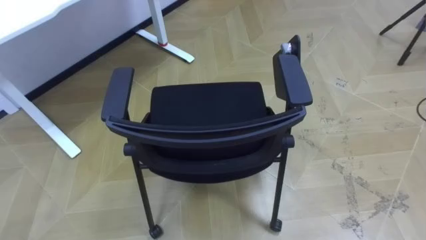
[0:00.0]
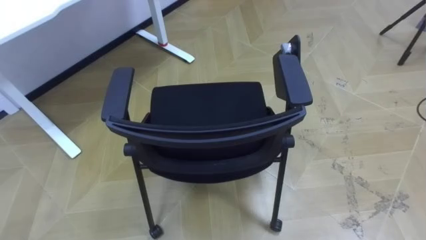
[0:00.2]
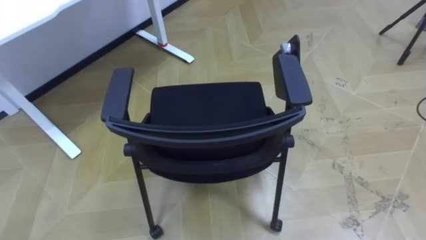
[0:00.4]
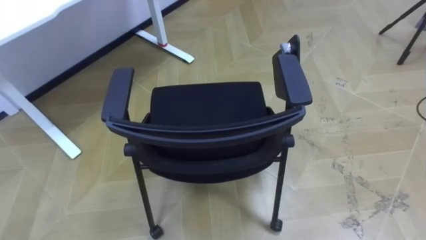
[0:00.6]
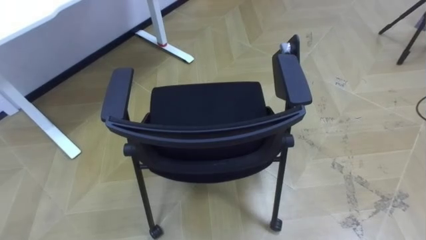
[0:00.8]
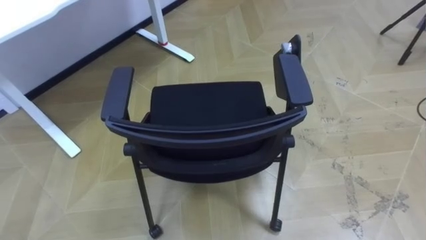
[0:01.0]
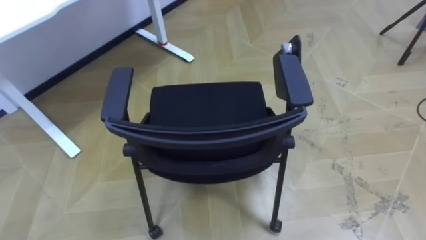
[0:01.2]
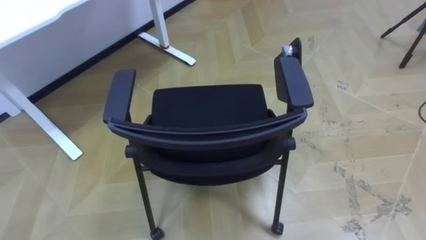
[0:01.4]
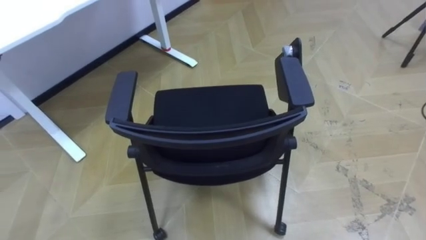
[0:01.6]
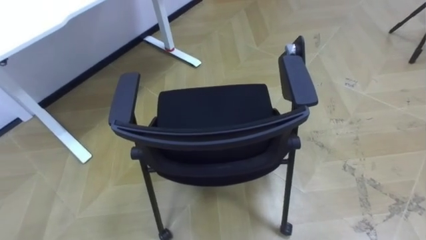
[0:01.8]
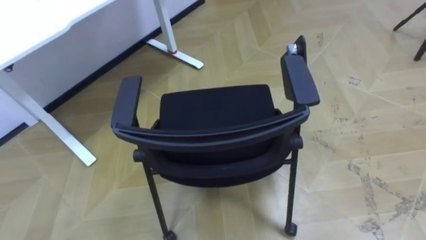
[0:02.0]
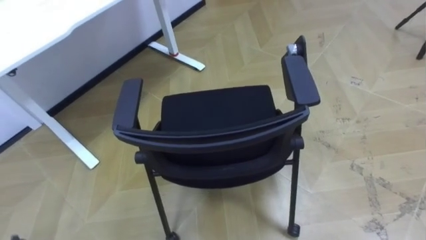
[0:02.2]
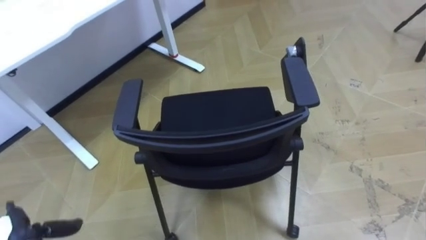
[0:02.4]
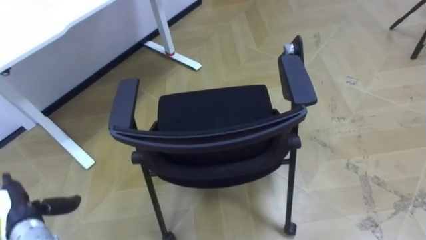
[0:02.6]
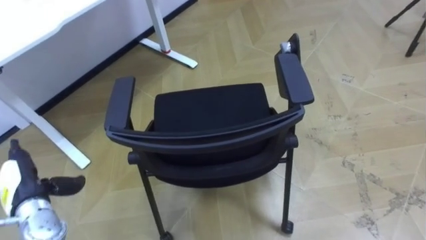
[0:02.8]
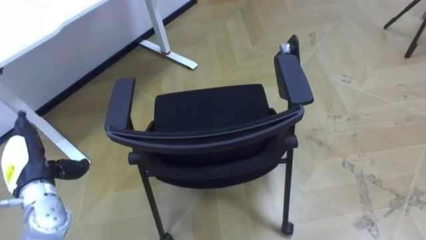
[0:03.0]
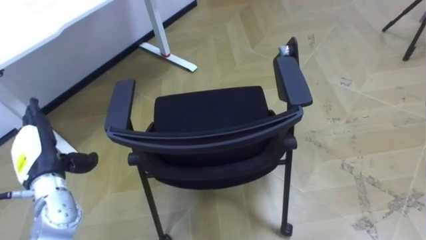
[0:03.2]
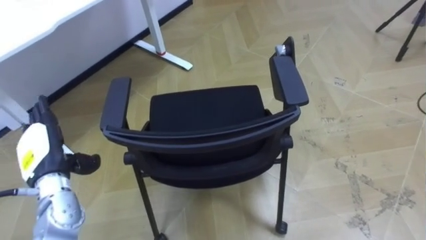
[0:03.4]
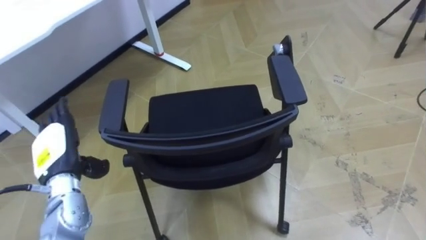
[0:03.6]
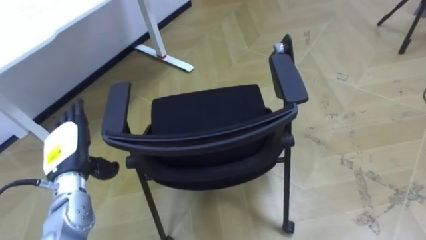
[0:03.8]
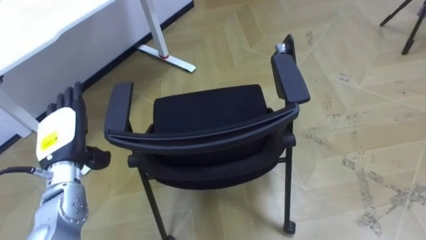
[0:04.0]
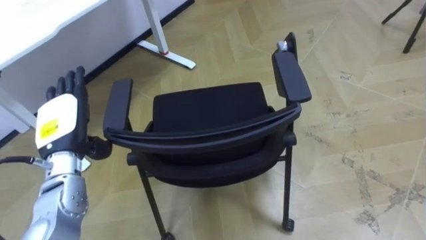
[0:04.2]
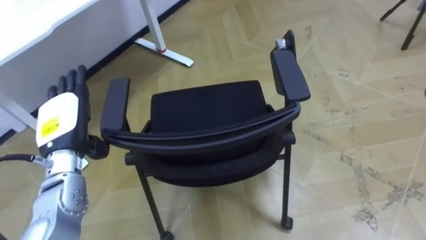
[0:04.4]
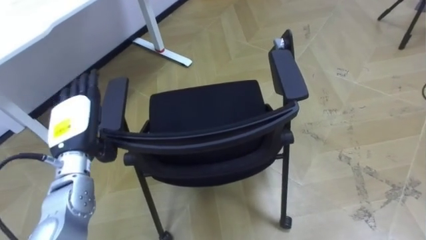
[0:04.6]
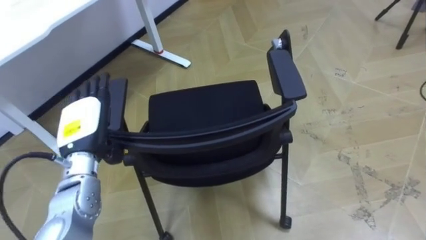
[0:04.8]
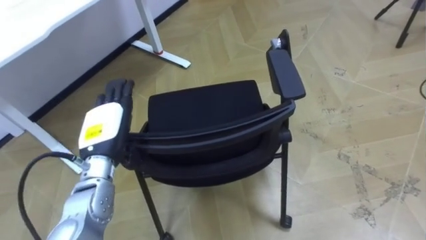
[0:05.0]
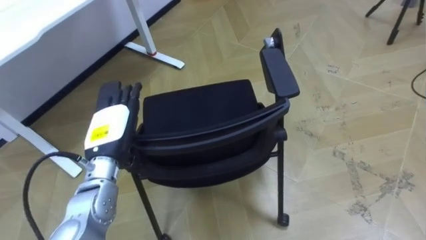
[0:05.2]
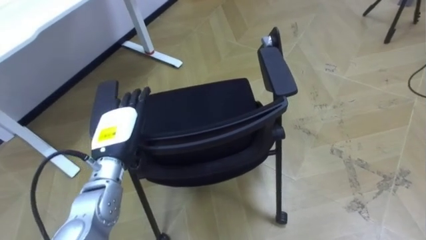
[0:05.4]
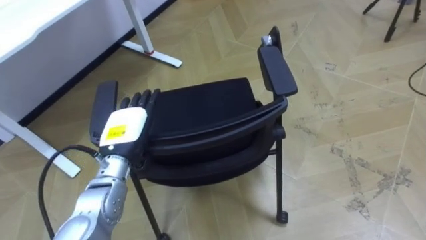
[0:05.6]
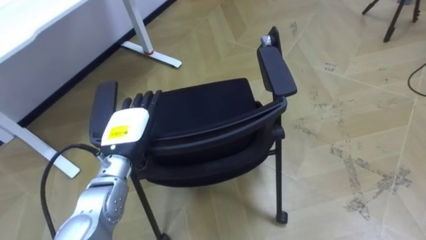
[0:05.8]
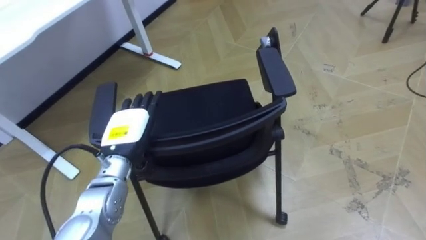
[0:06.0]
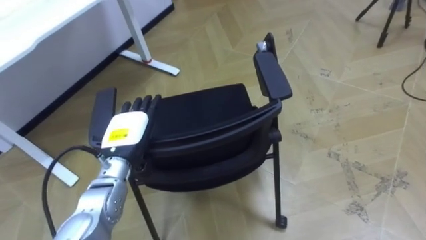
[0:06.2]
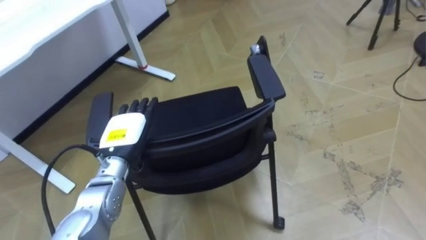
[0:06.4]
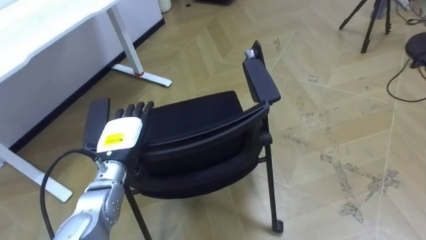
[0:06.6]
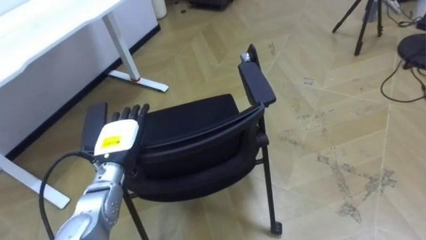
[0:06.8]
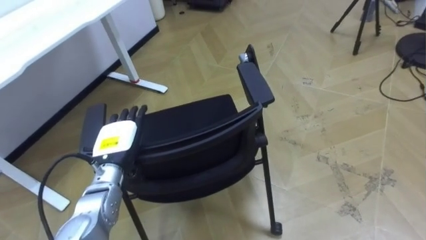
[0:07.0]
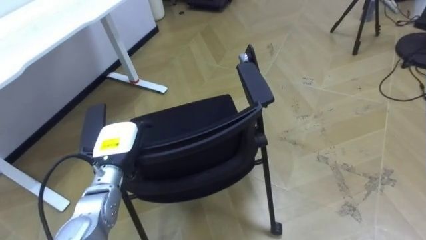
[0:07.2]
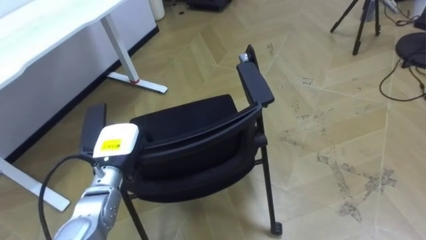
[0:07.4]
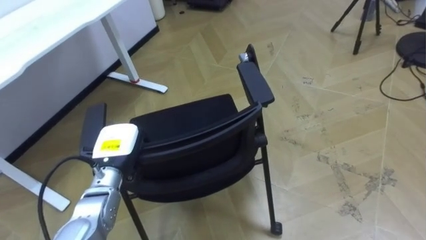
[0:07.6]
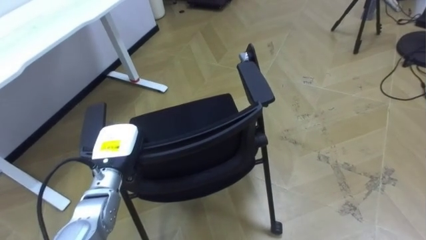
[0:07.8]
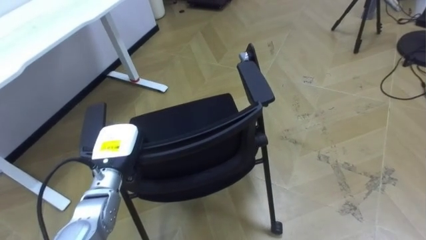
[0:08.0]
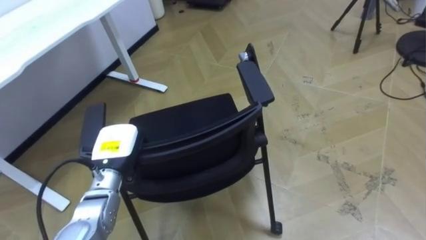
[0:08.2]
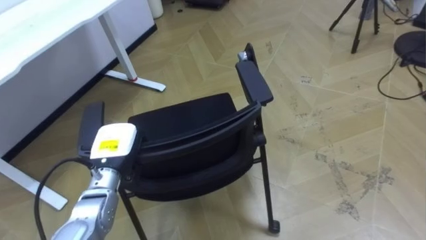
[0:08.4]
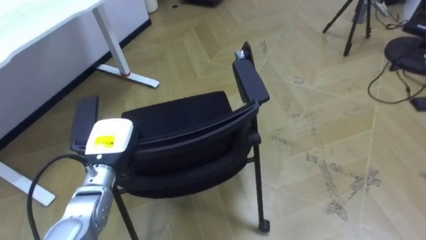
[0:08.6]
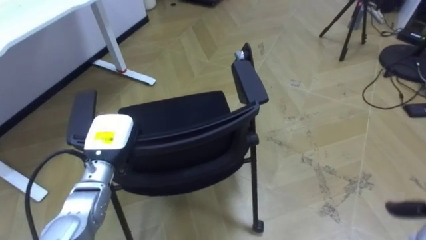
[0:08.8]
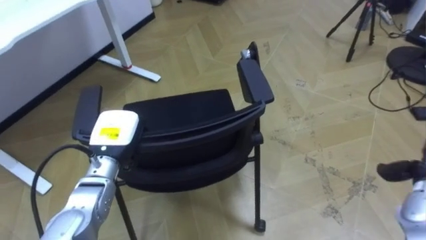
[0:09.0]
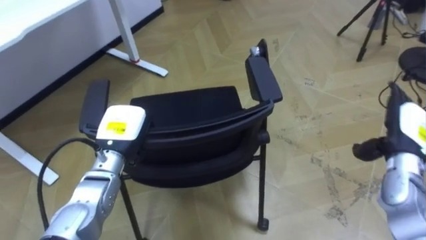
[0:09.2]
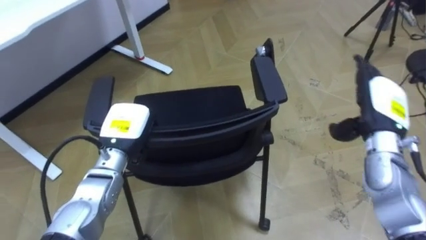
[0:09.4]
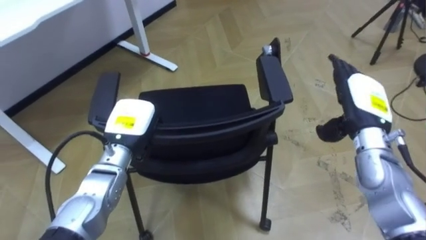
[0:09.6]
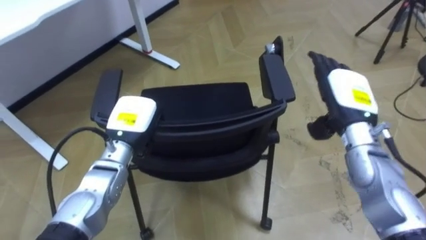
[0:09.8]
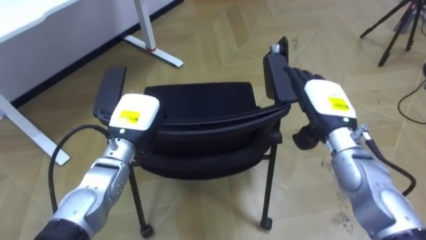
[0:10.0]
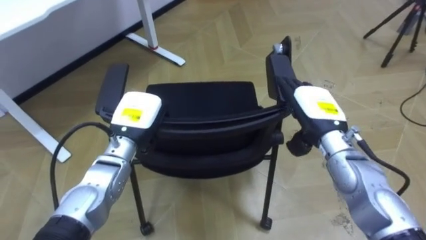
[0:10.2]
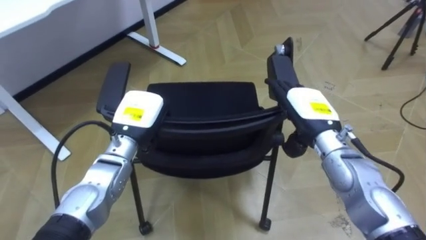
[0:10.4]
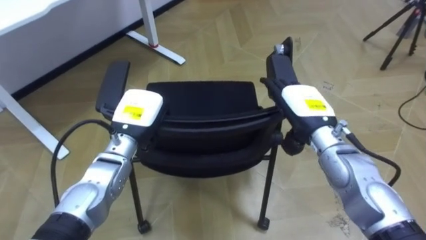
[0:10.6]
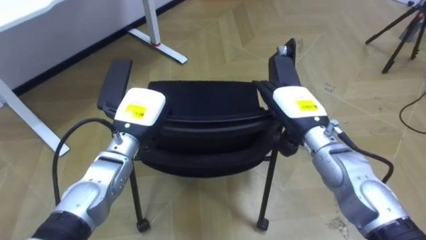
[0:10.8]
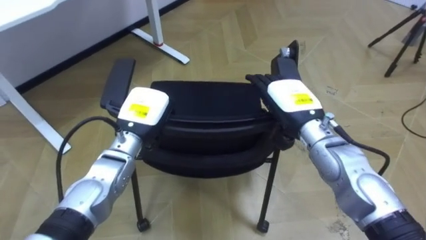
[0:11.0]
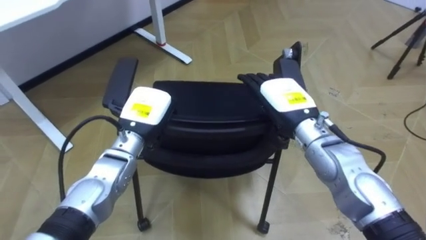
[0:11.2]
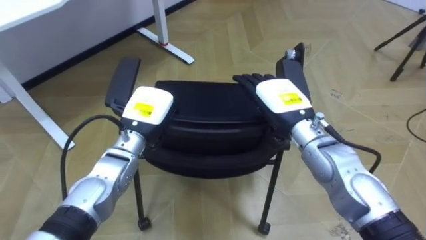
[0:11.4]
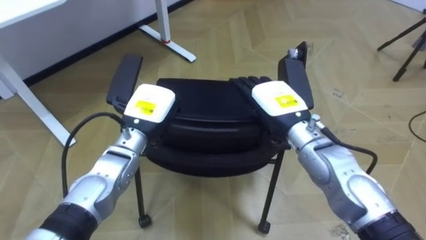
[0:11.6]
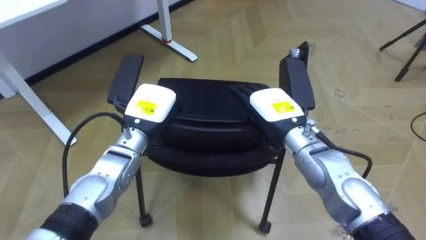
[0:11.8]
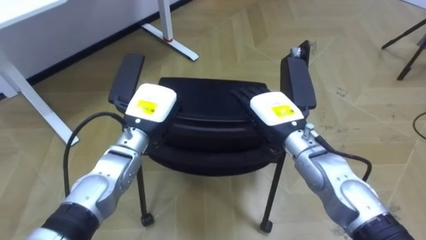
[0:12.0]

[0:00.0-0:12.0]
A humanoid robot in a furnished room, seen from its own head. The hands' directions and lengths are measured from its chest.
Task of the whole recording: Push the chair under the table.
0:03.0 to 0:04.4: The left hand heads to the right and upward, covering some 10 cm.
0:04.4 to 0:06.0: The left hand moves to the right, some 10 cm.
0:06.0 to 0:07.6: The left hand ends up approximately 5 cm from where it was, and closes its fingers.
0:09.0 to 0:10.4: The left hand ends up about 5 cm from where it was.
0:10.4 to 0:12.0: The right hand shifts about 5 cm to the left.

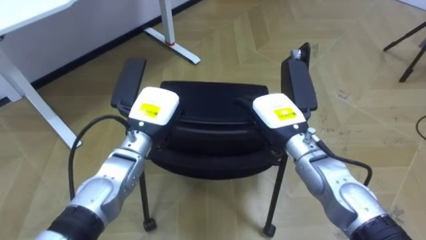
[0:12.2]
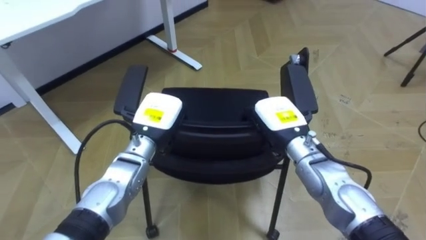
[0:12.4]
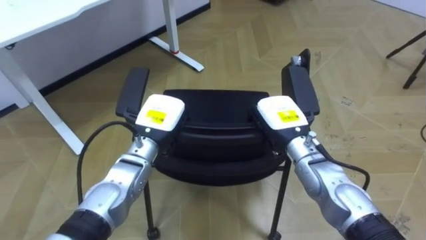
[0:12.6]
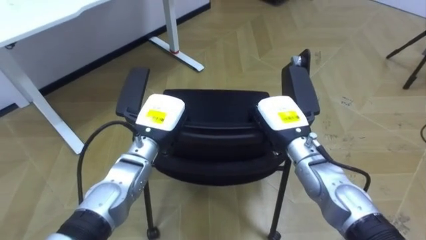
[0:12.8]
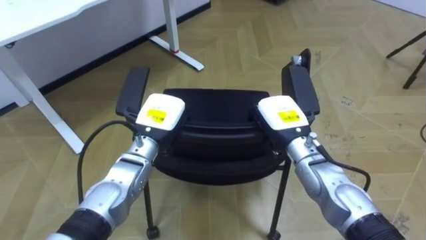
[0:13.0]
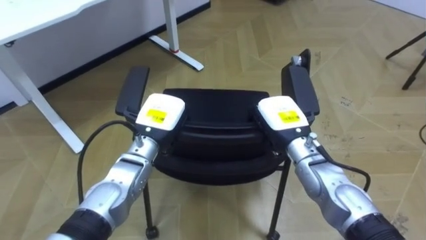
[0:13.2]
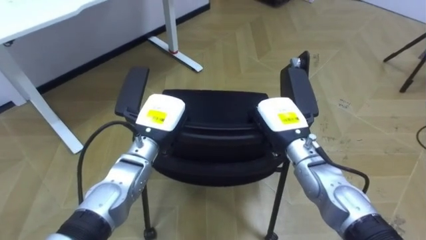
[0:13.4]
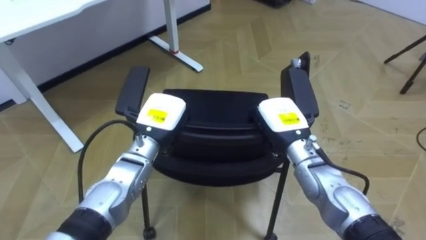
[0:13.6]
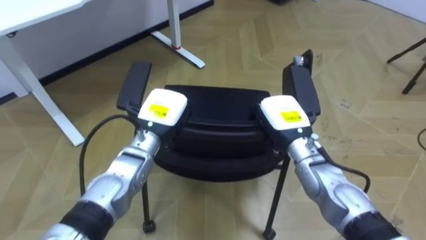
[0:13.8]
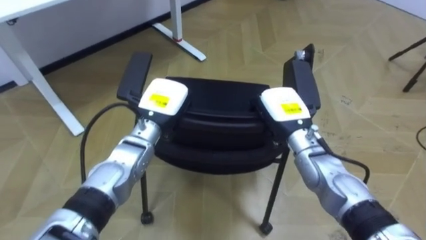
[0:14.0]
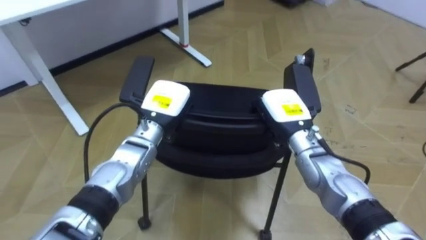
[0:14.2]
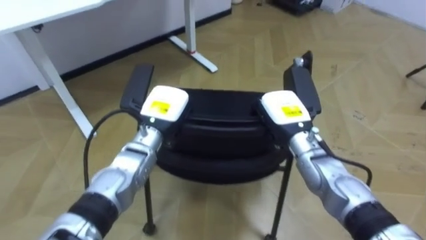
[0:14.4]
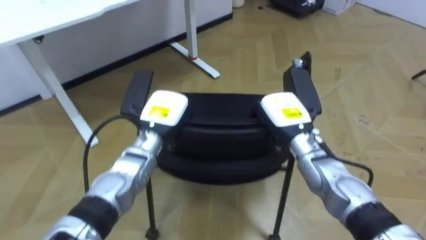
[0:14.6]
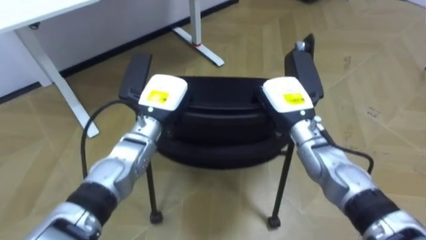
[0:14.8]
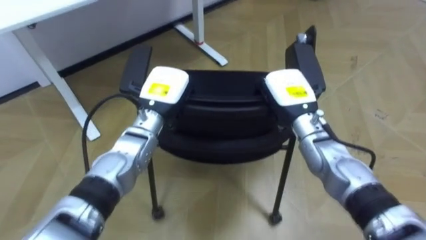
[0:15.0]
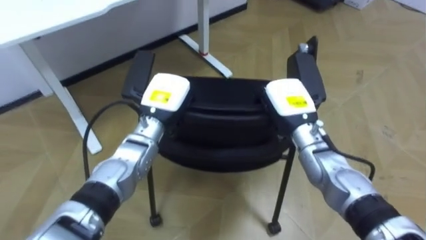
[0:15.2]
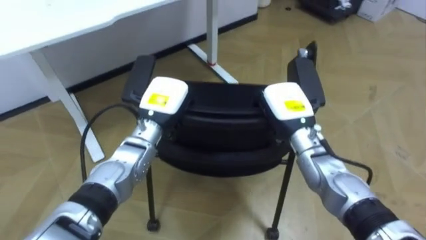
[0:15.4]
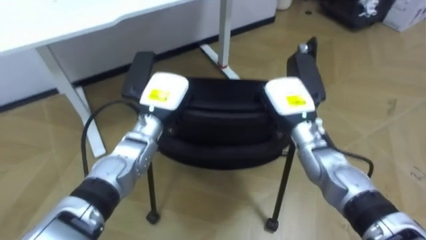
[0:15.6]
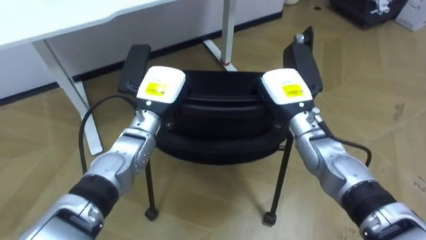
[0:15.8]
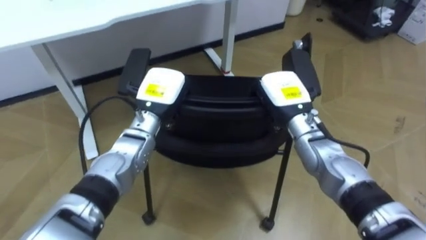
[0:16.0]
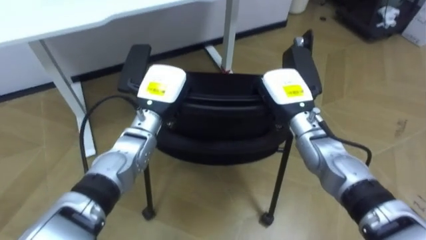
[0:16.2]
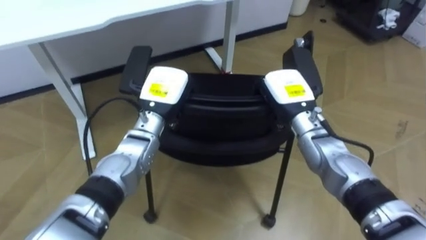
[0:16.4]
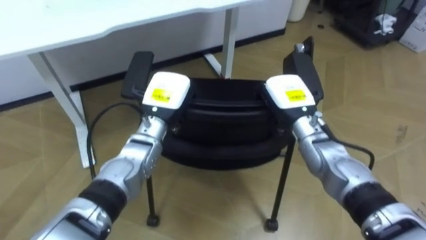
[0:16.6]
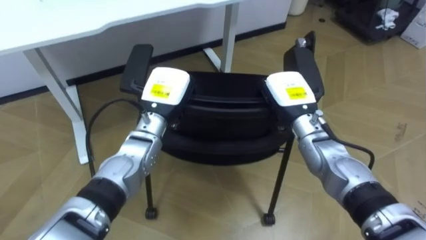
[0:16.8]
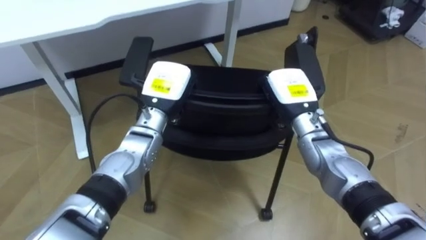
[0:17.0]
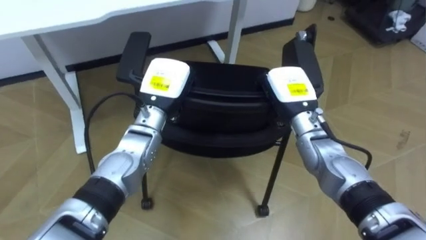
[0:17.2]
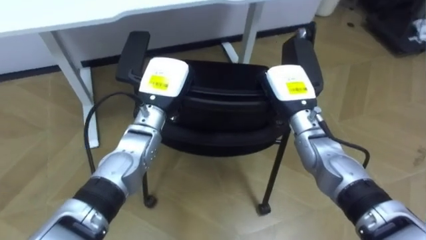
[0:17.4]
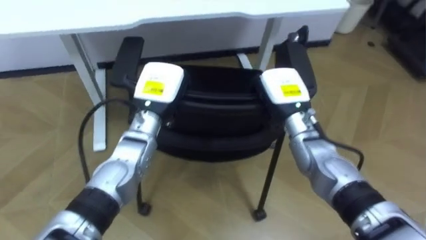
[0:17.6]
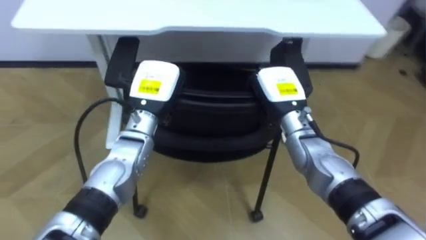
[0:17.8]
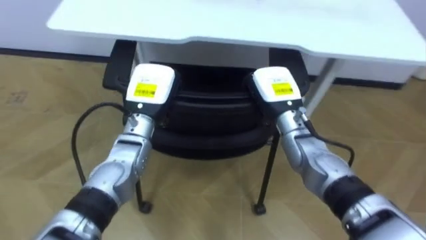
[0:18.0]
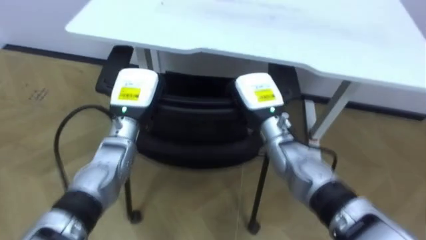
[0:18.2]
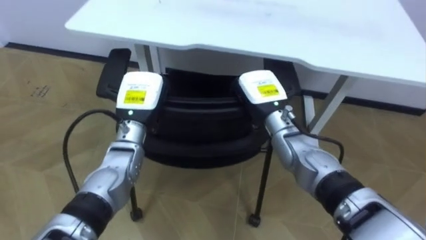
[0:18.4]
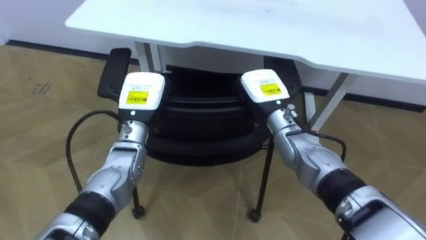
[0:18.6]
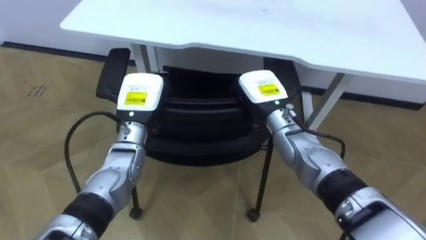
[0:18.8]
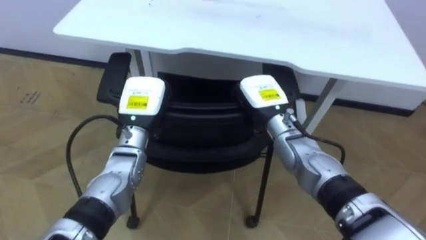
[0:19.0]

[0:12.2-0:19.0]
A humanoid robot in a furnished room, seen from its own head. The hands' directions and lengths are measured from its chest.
Task of the whole recording: Push the chair under the table.
0:12.2 to 0:13.6: The right hand closes its fingers.
0:13.6 to 0:15.0: The right hand ends up about 5 cm from where it was.
0:17.6 to 0:19.0: The robot turns to its left by some 20 degrees.
